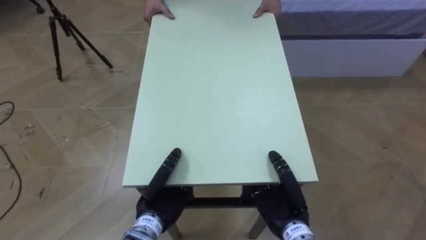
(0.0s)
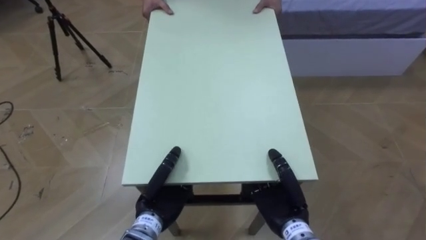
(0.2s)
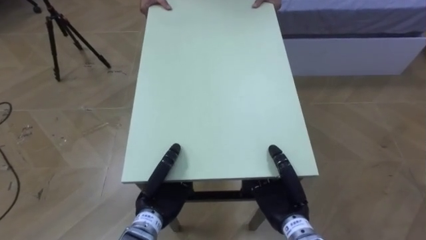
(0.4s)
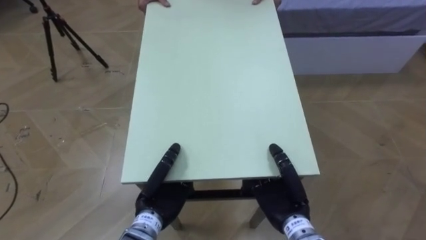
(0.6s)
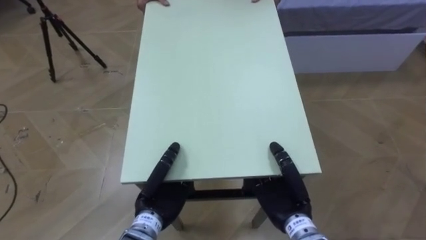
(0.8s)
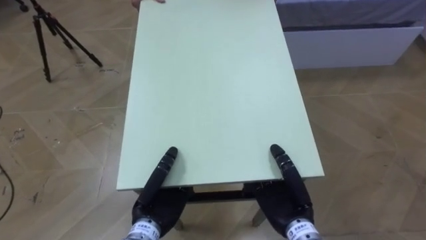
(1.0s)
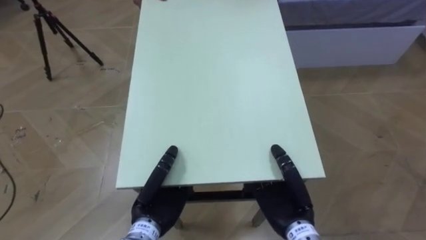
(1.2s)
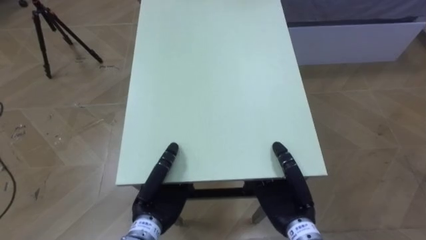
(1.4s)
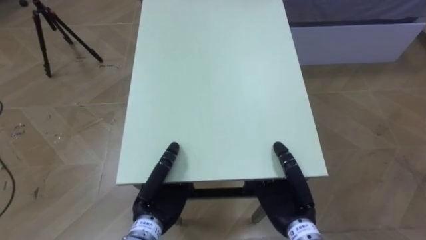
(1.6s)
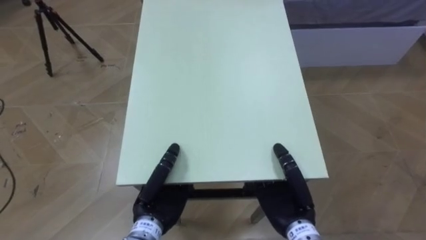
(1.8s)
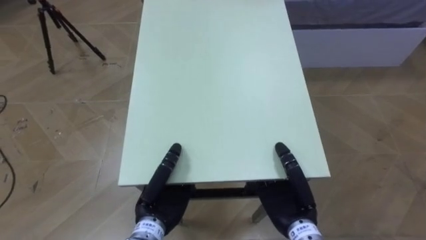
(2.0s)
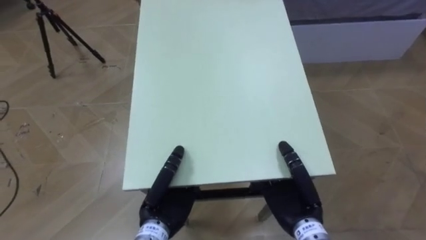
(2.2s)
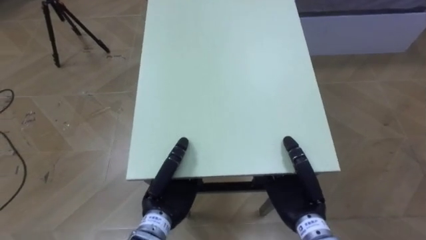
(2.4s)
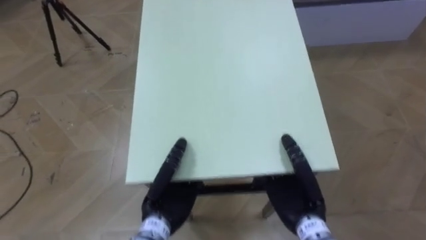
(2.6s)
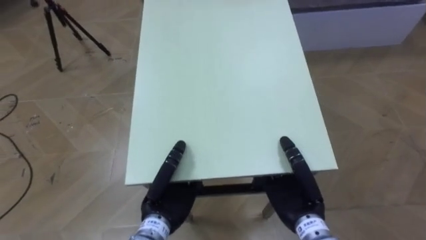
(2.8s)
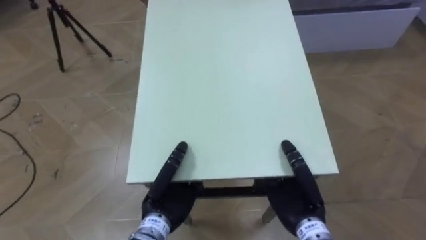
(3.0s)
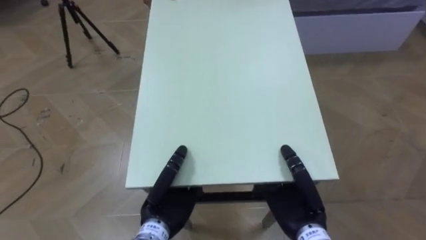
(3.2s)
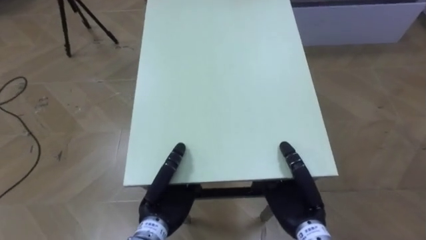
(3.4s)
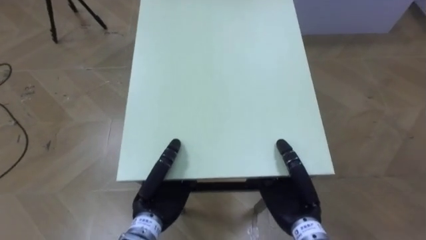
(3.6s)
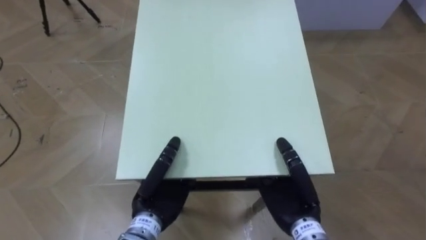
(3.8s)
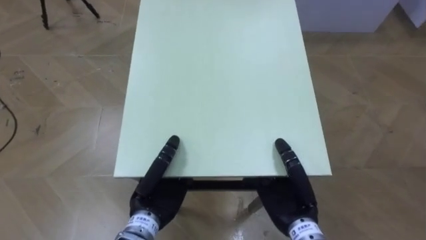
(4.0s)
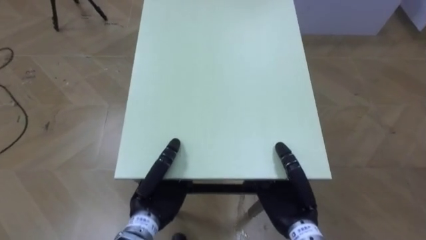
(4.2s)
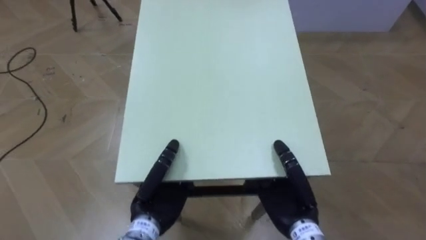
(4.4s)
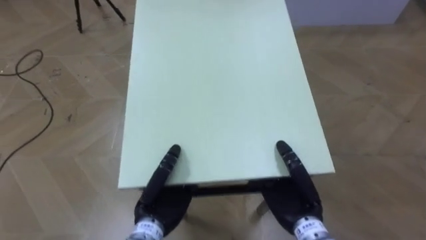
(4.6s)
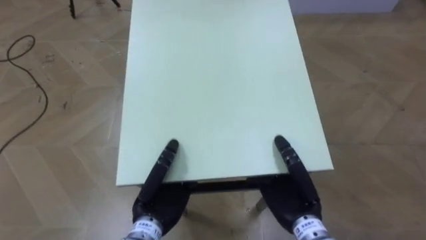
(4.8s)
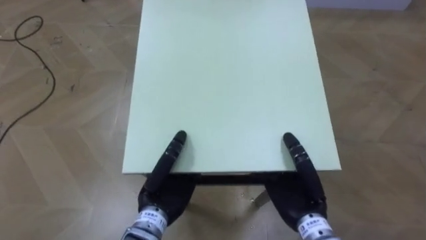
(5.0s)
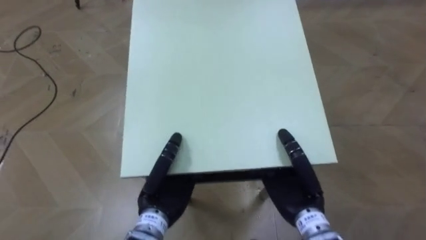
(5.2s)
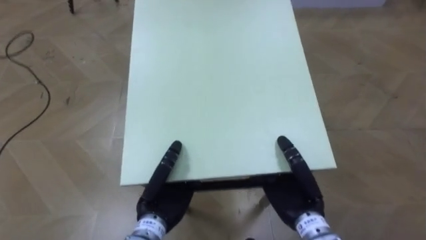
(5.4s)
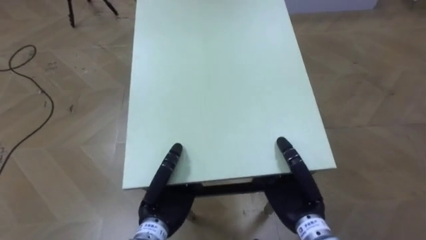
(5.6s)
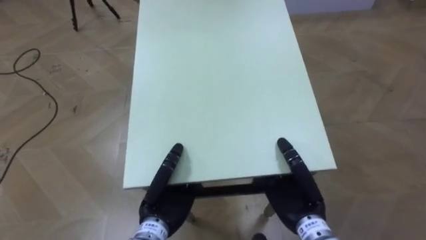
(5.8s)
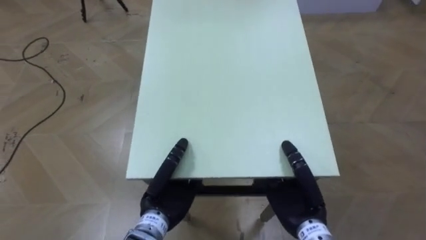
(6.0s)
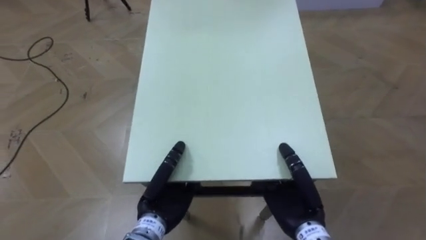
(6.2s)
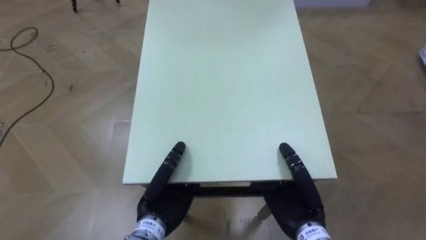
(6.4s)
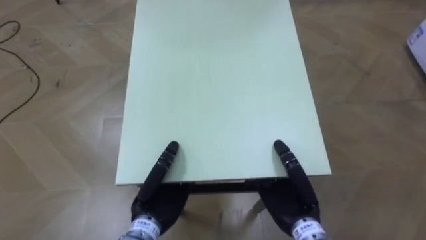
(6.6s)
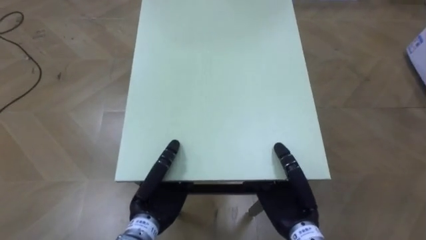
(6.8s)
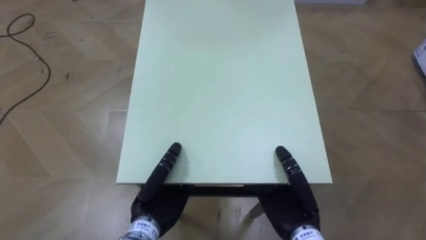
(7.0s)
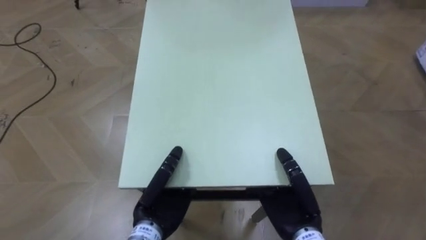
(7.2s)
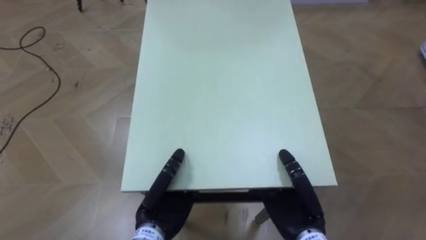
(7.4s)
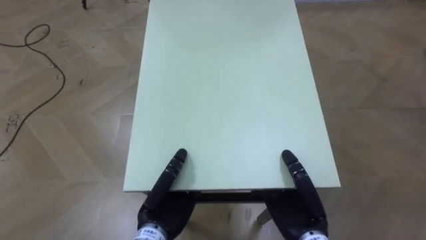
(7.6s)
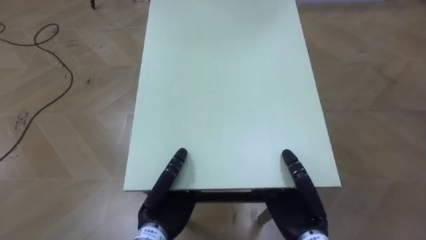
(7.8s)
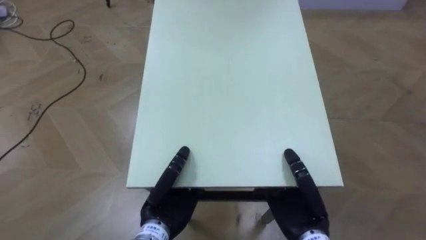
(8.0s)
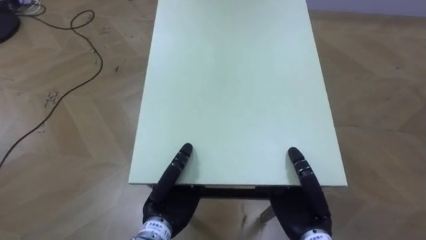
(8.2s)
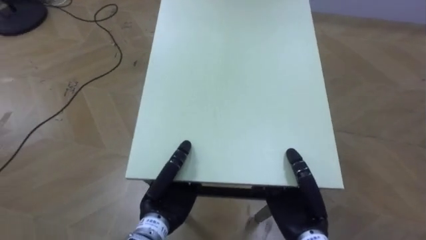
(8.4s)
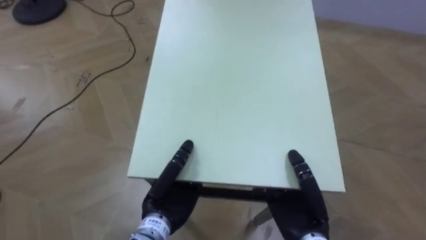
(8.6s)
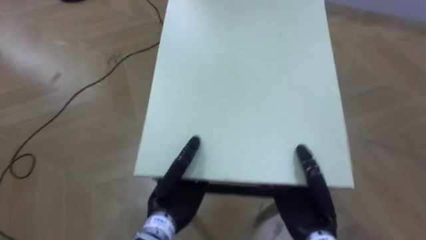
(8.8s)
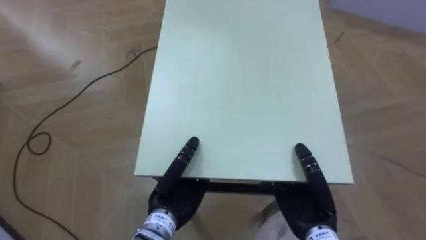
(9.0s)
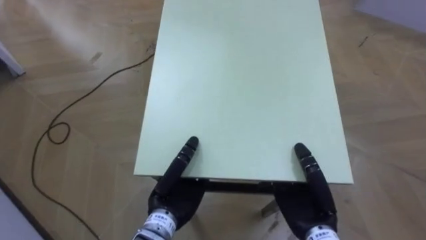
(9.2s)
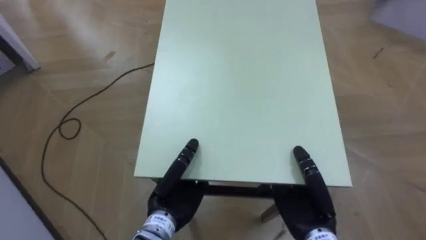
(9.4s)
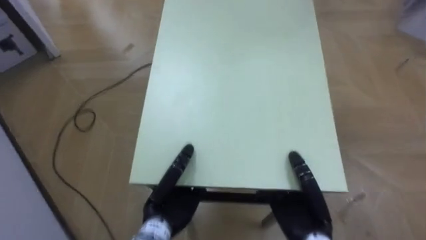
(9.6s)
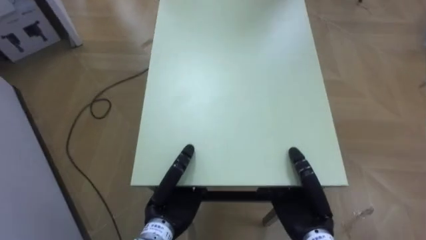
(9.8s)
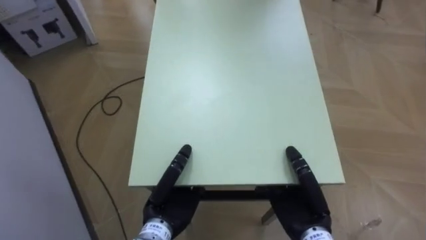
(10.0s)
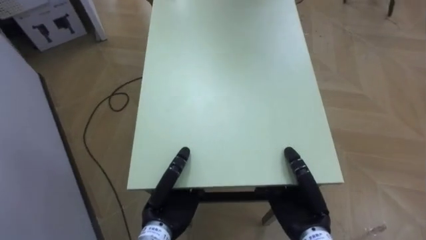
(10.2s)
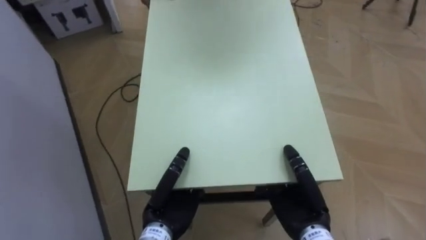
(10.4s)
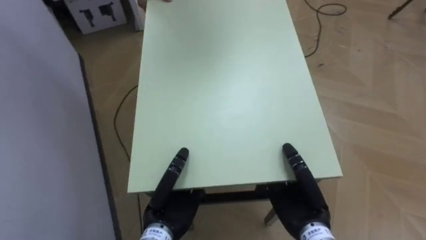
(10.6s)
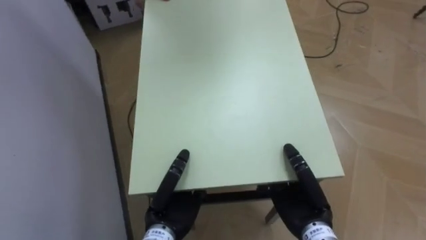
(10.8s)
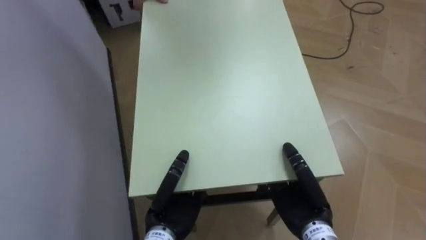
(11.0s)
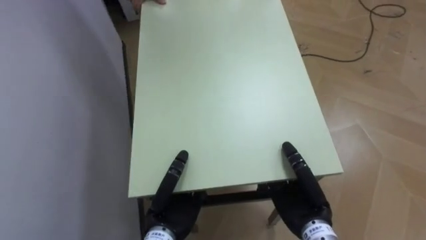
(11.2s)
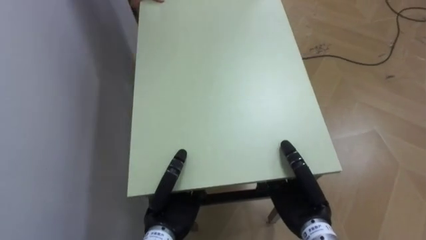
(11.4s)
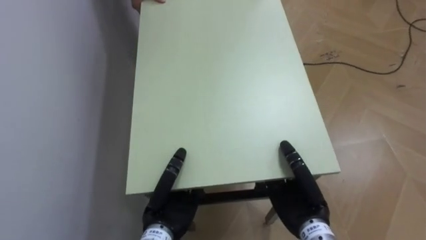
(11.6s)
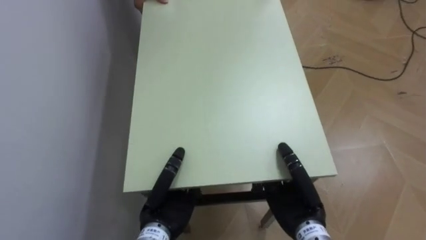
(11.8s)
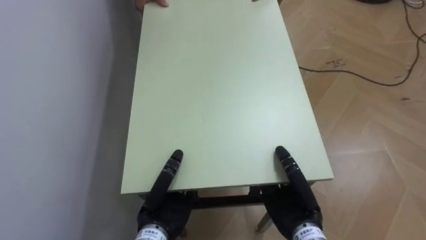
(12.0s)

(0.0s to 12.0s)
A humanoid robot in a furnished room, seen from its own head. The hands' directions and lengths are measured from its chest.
Task of the whole recording: Move the table to the back left with someone.
7.6s - 9.0s: The robot turns to its left by about 35 degrees.
9.0s - 10.4s: The robot faces roughly 20 degrees further to its left.
10.4s - 12.0s: The robot's body swings roughly 25 degrees to its left.

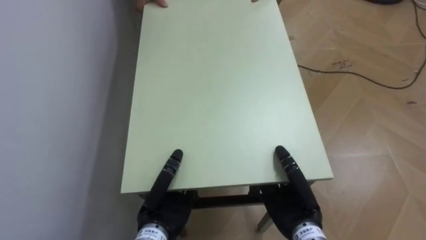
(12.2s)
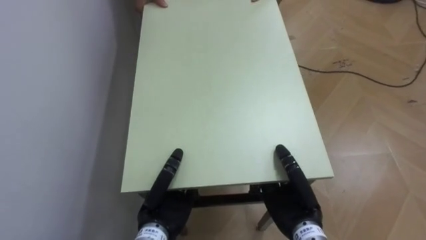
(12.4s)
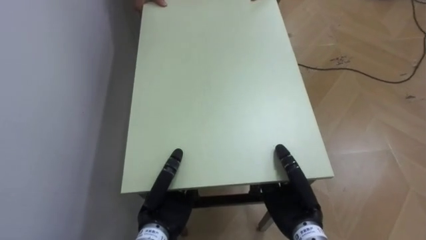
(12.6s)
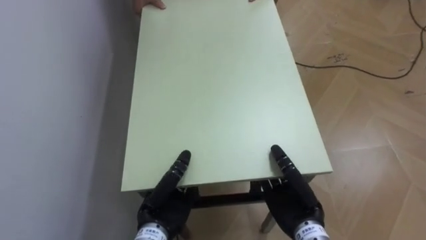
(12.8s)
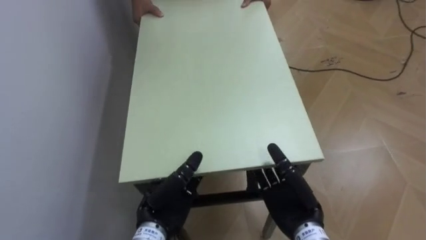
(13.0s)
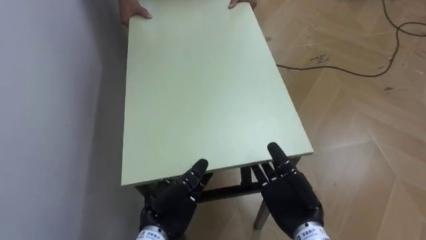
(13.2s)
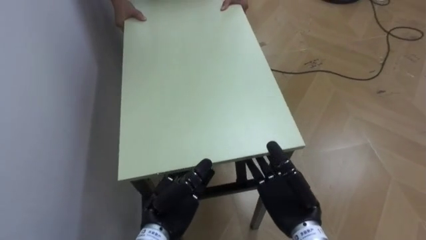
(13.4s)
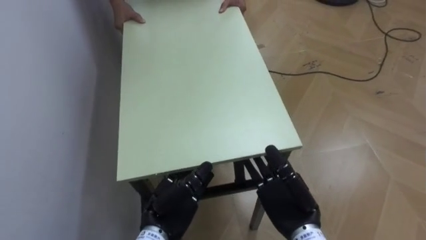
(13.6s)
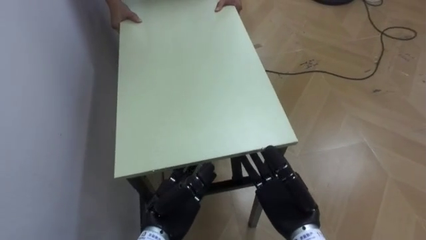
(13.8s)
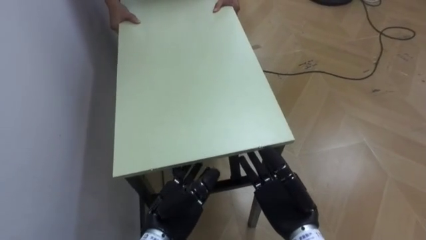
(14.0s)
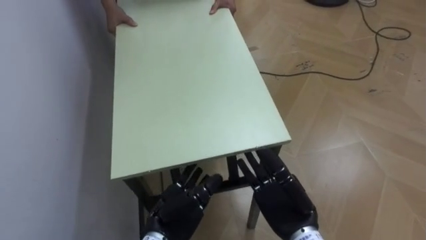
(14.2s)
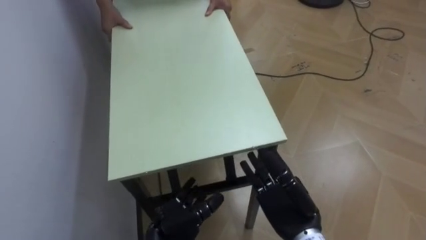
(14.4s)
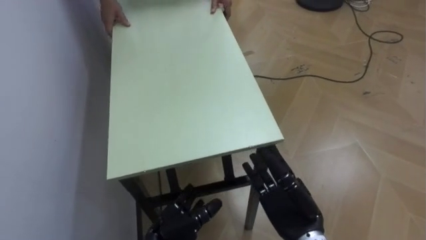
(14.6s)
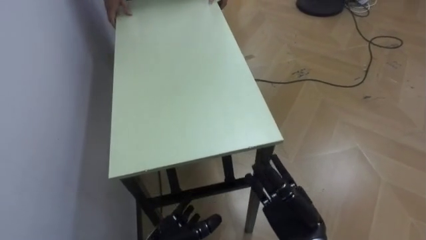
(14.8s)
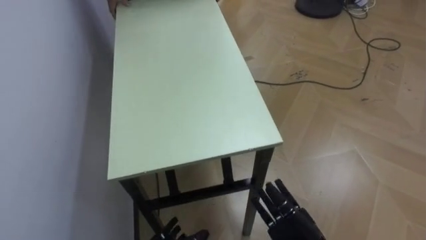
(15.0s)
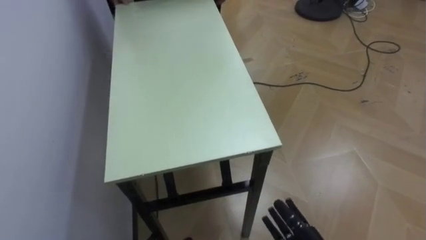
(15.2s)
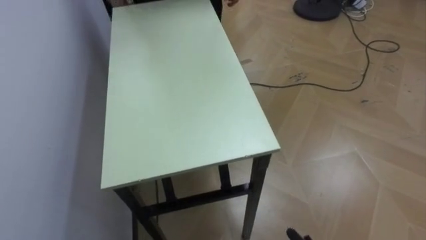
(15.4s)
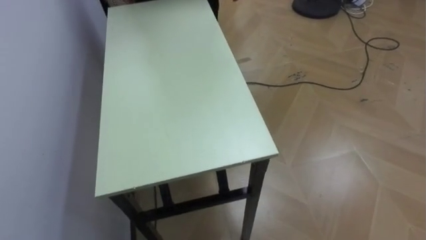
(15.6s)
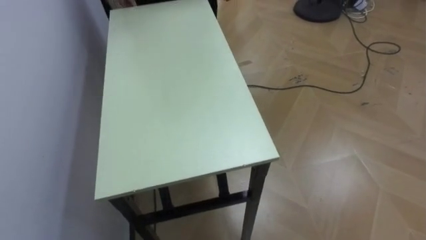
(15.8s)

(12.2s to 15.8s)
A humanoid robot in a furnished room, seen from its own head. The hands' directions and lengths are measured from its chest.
Task of the whole recording: Move the table to the back left with someone.
12.2s - 14.0s: The left hand opens; the right hand opens its fingers.

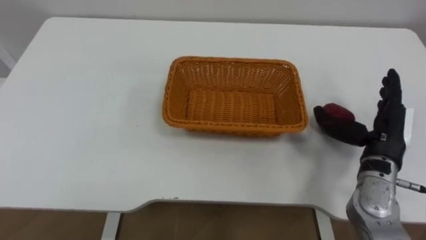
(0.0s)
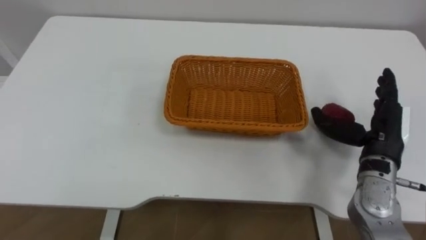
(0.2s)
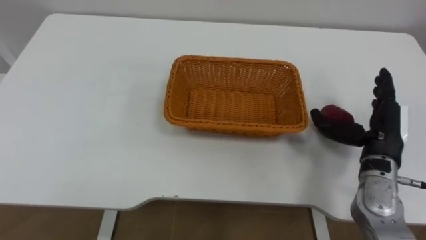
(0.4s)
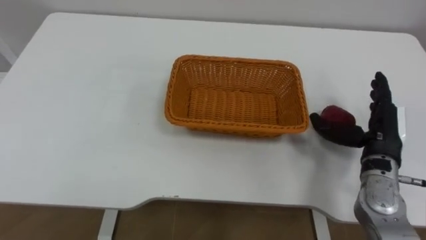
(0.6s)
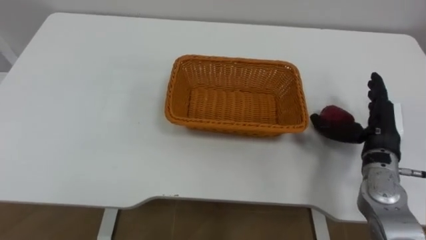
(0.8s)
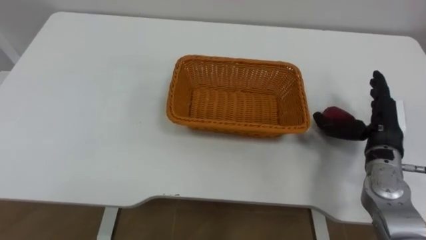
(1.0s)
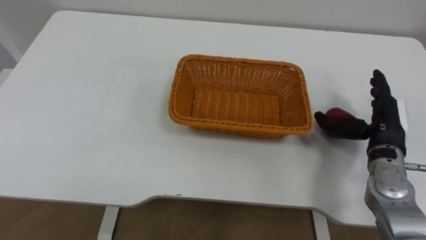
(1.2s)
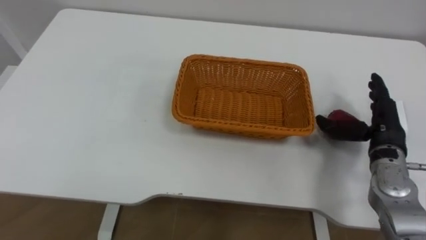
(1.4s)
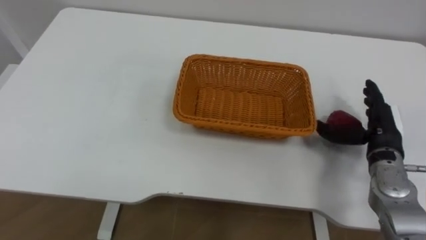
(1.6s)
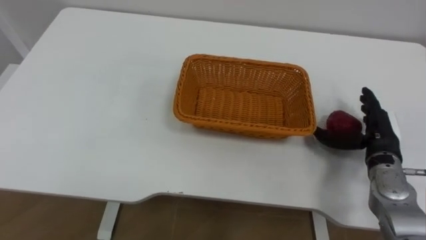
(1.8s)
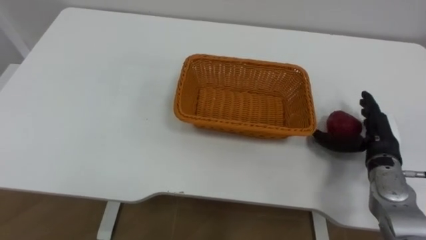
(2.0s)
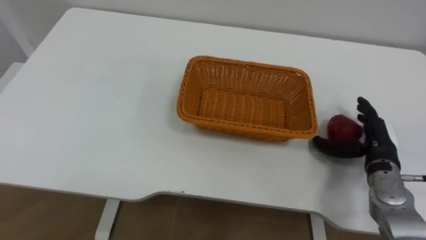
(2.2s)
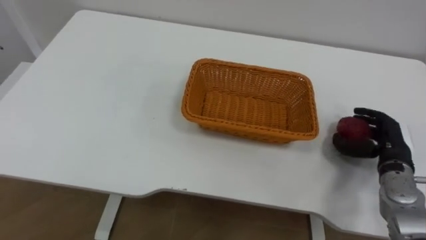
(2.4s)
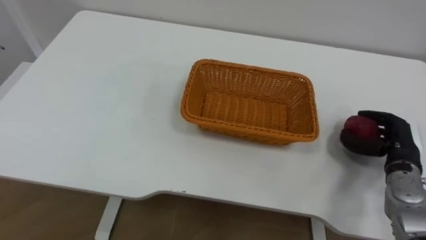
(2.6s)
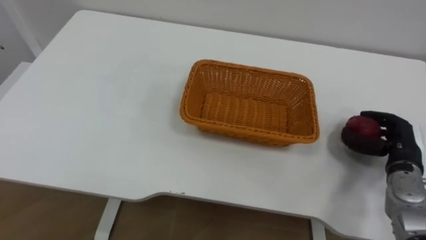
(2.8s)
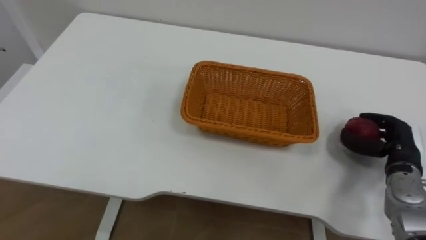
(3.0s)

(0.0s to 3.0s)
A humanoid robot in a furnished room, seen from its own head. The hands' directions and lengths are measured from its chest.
Task of the whole recording: Pick the apple and place it in the box.
0.0s - 1.6s: The right hand moves approximately 5 cm.
1.6s - 3.0s: The right hand changes place by about 5 cm, and closes up.
